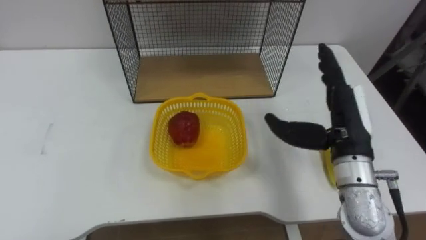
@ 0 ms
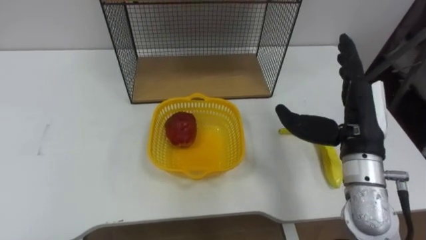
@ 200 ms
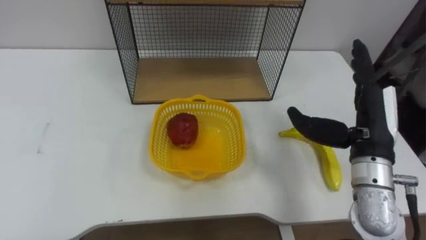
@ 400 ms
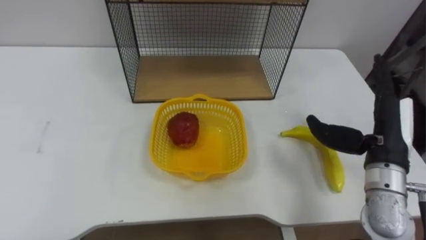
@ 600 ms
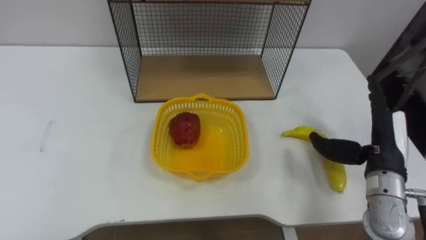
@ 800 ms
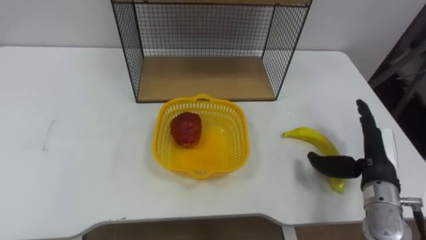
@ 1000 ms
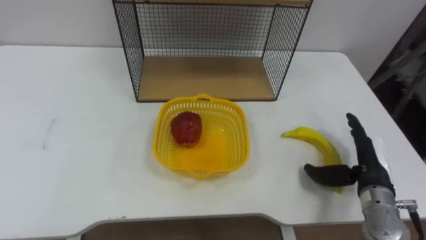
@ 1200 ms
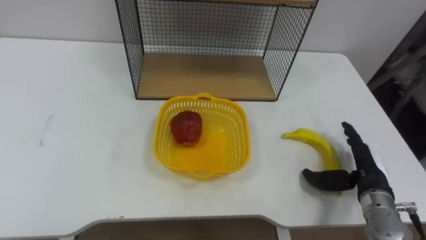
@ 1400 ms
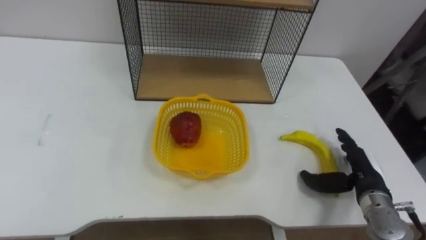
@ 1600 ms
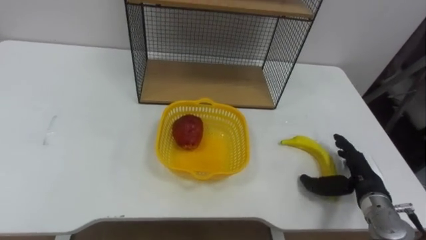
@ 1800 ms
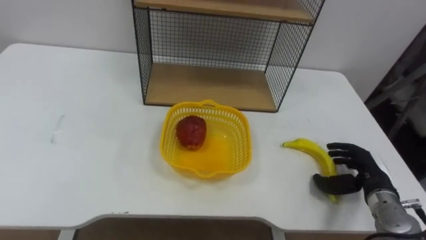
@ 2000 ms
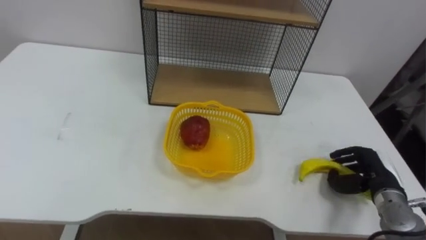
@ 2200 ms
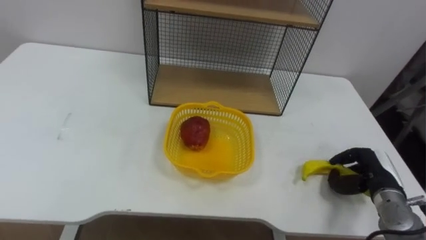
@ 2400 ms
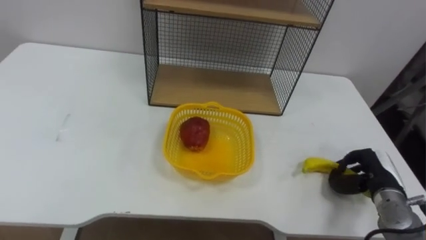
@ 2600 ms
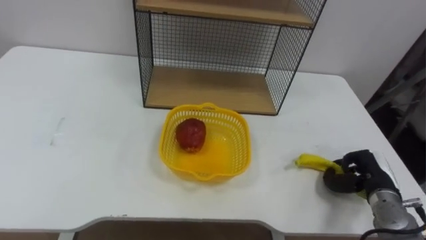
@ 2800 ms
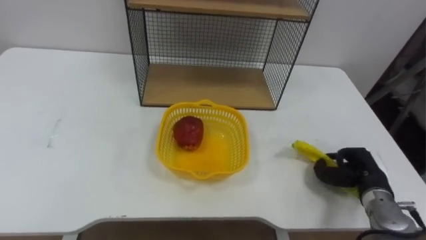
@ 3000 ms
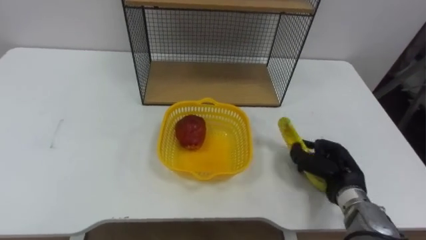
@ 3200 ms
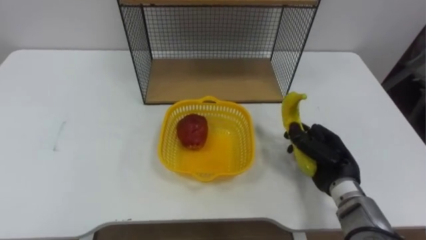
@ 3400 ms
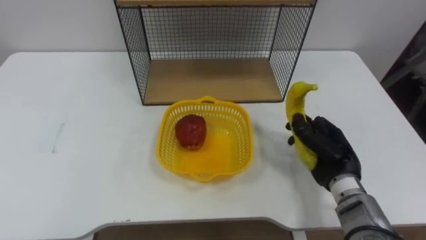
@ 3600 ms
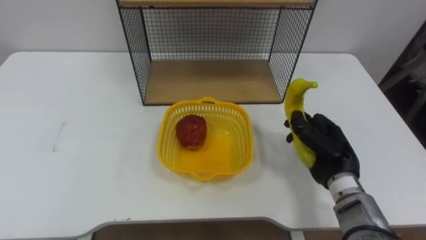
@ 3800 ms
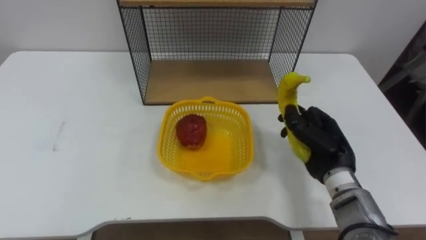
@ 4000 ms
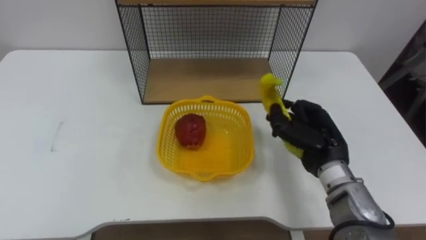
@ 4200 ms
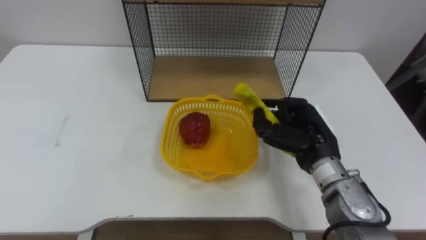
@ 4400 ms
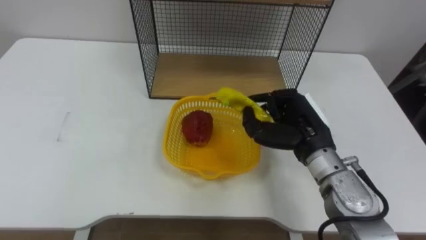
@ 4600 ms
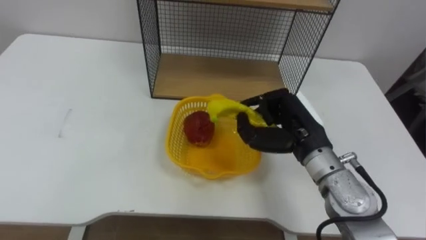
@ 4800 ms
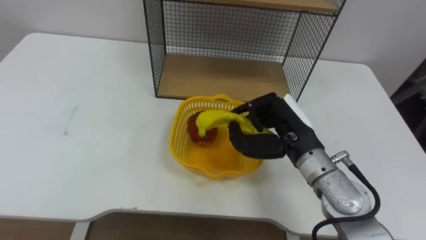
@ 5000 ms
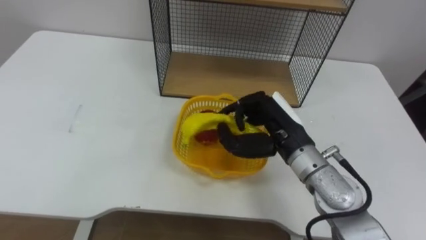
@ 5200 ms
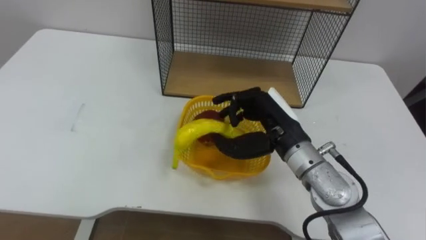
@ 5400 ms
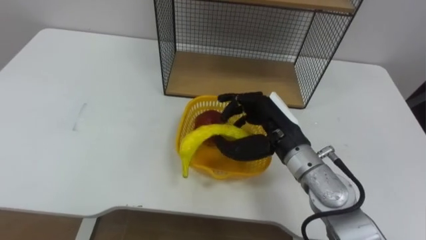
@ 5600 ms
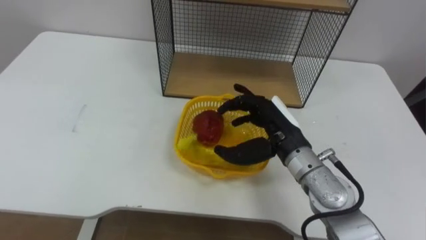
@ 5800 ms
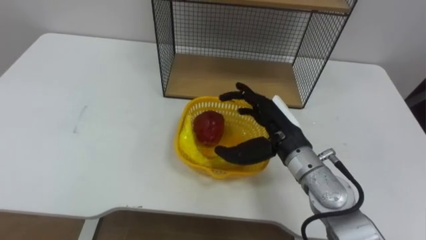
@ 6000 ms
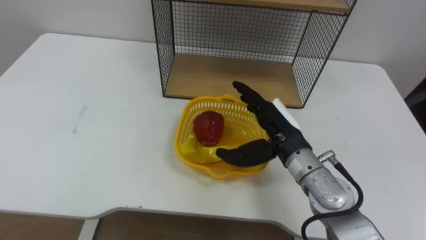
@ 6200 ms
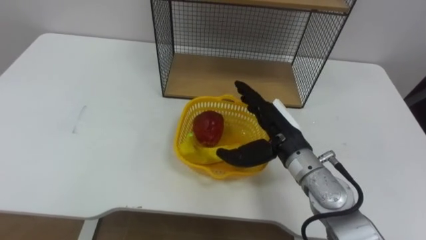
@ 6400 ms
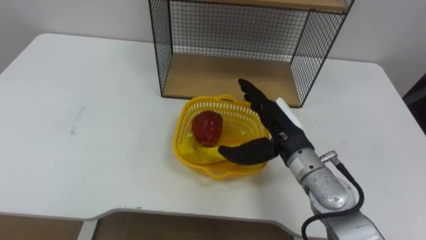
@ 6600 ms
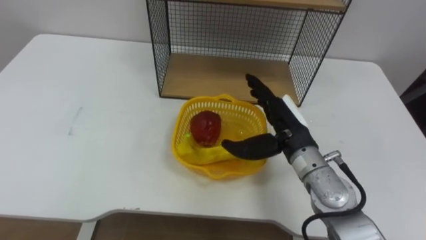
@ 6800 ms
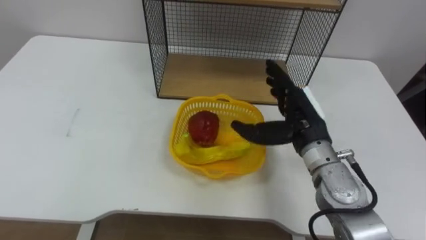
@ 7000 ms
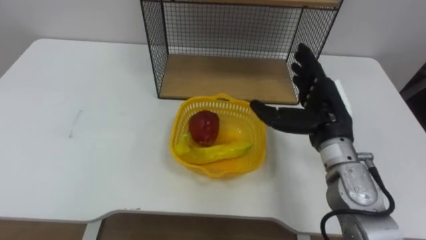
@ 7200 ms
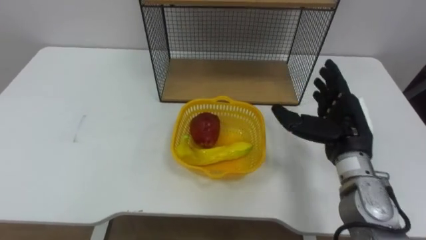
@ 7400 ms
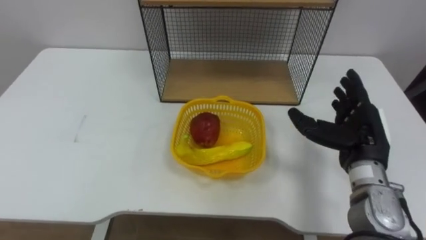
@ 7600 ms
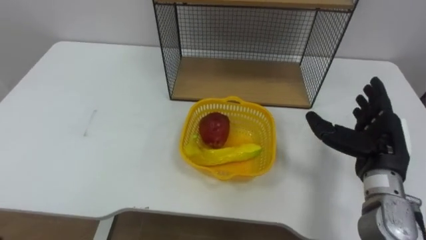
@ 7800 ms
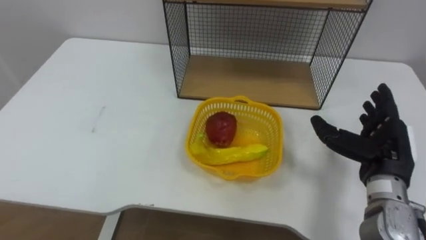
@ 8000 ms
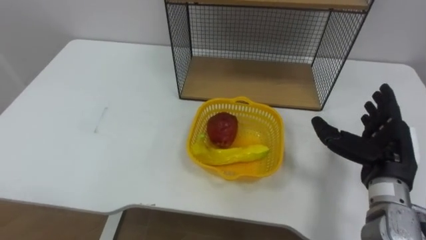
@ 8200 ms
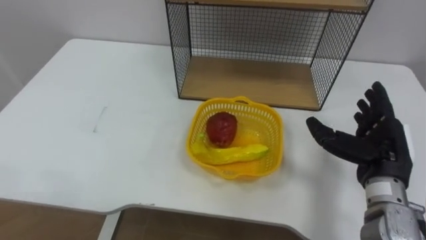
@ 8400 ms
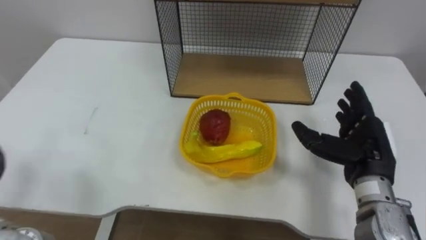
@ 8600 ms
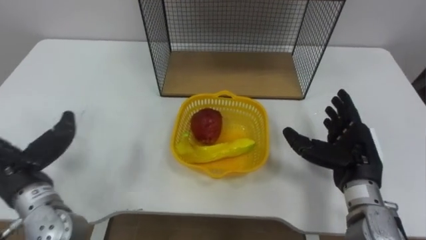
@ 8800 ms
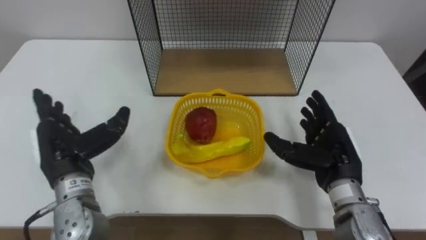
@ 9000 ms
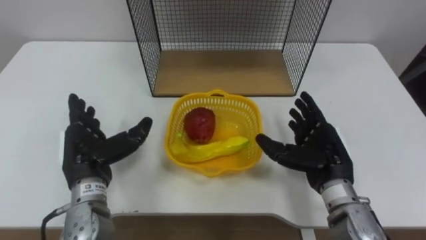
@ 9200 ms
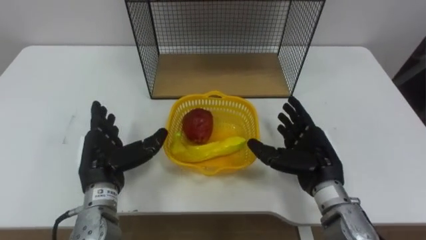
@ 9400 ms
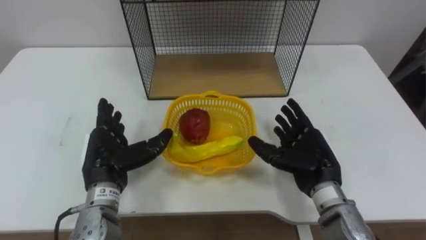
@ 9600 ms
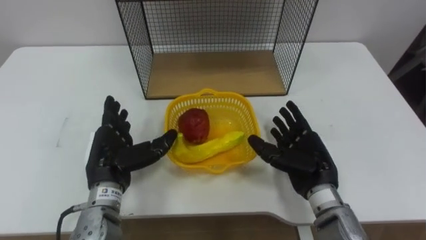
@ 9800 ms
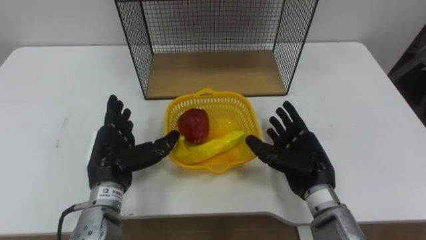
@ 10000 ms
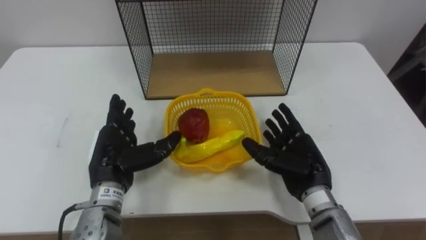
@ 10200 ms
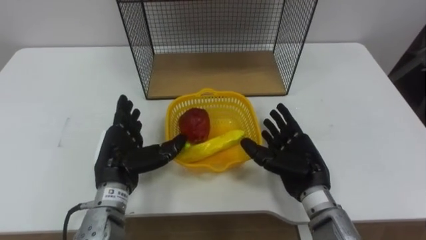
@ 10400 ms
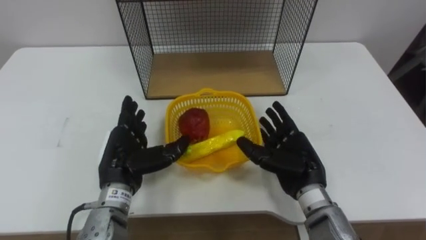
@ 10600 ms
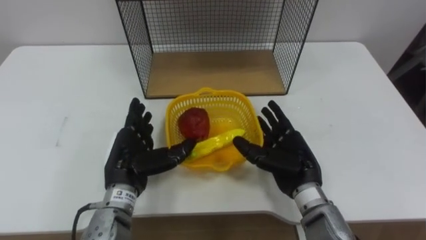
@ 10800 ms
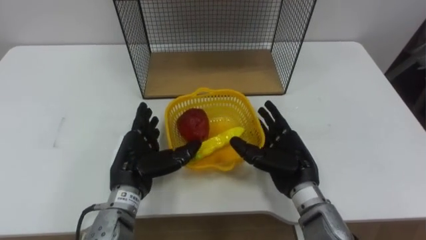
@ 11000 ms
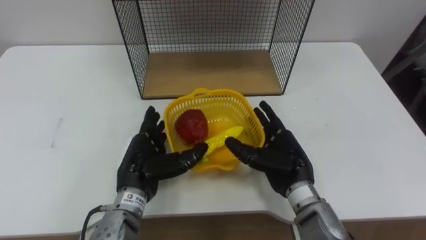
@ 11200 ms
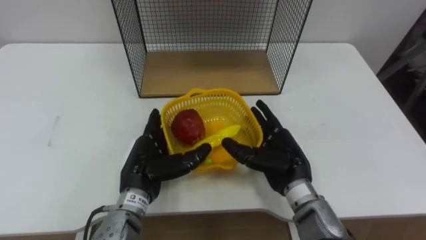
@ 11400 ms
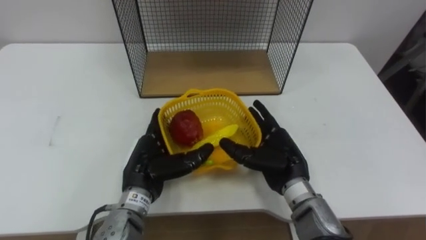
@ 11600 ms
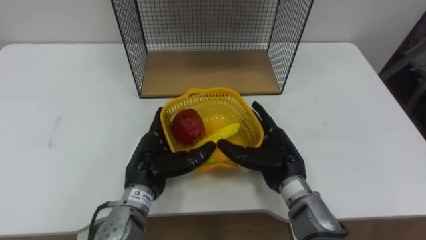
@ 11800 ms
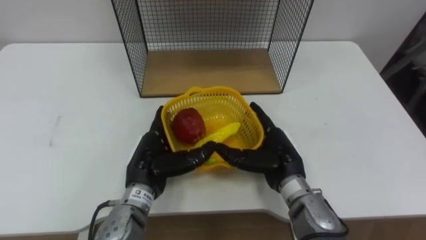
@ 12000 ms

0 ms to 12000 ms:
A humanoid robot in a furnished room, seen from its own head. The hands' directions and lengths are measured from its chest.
Task of the whole recording: Put the fruit on the table into the basket, then place the basket on the shelf.
0 ms to 1600 ms: The right hand heads downward and to the right, covering approximately 15 cm.
1600 ms to 3000 ms: The right hand closes.
3000 ms to 4400 ms: The right hand moves to the left and upward, approximately 15 cm.
4400 ms to 6000 ms: The right hand heads to the left, covering some 5 cm, and opens its fingers.
6000 ms to 7600 ms: The right hand is displaced to the right by roughly 15 cm.
9000 ms to 10400 ms: The right hand is displaced to the left by approximately 5 cm. Meanwhile the left hand is displaced to the right by some 10 cm.
10400 ms to 12000 ms: The left hand shifts approximately 5 cm to the right.

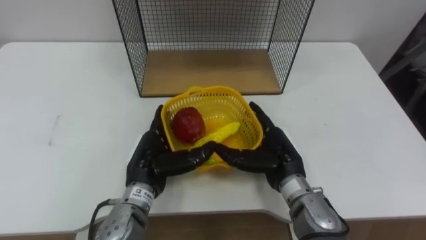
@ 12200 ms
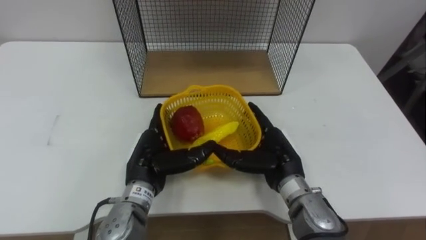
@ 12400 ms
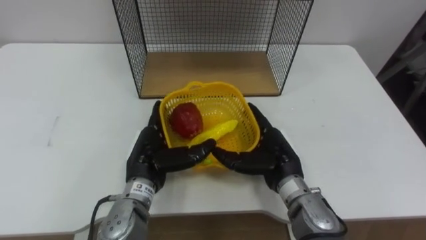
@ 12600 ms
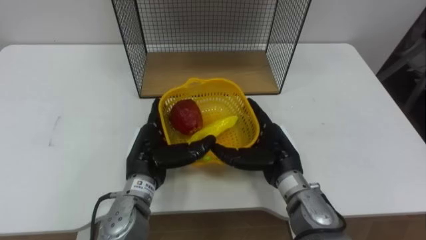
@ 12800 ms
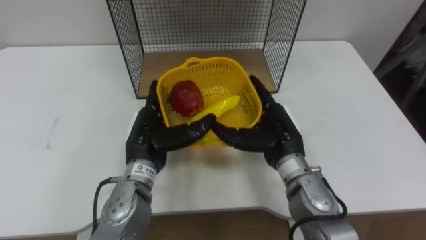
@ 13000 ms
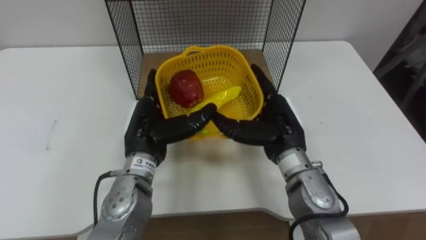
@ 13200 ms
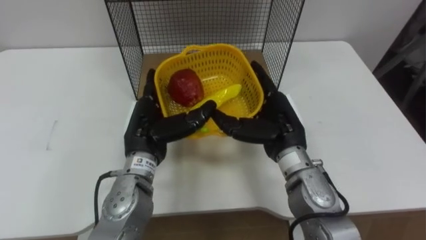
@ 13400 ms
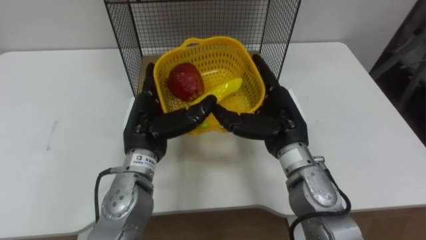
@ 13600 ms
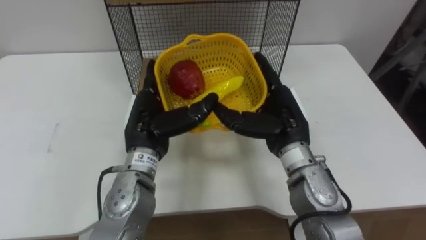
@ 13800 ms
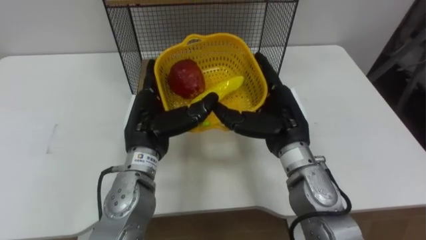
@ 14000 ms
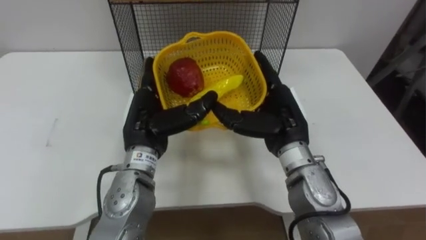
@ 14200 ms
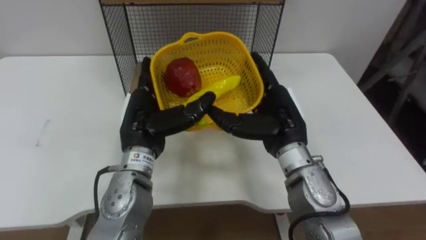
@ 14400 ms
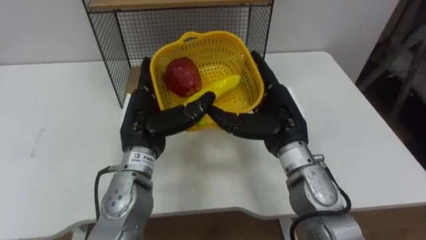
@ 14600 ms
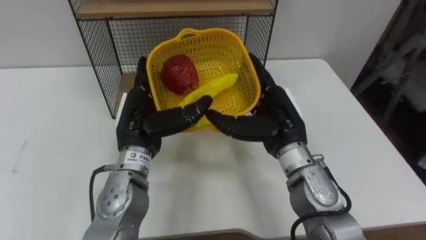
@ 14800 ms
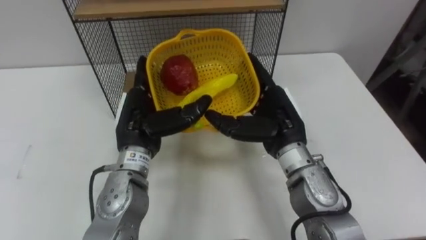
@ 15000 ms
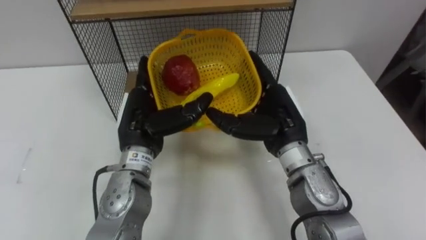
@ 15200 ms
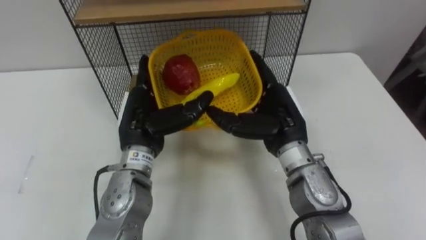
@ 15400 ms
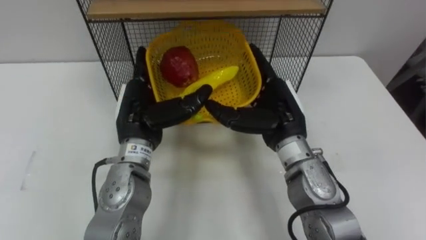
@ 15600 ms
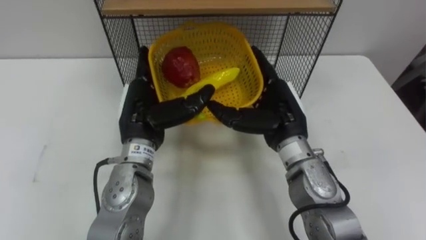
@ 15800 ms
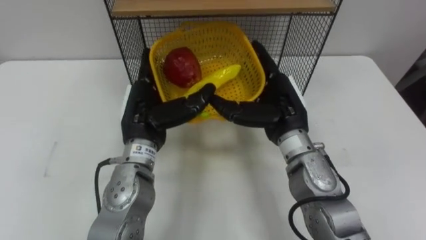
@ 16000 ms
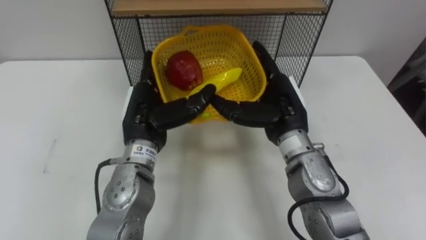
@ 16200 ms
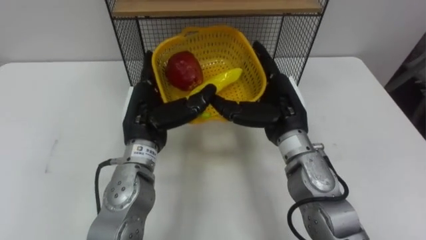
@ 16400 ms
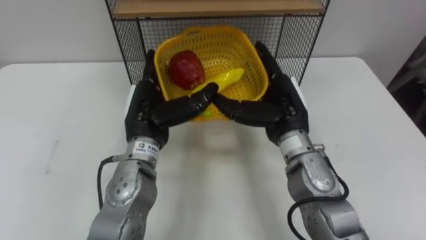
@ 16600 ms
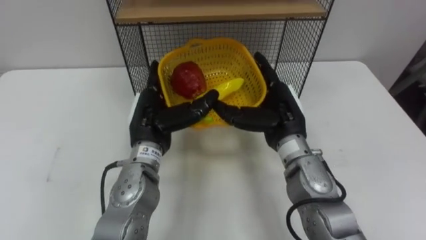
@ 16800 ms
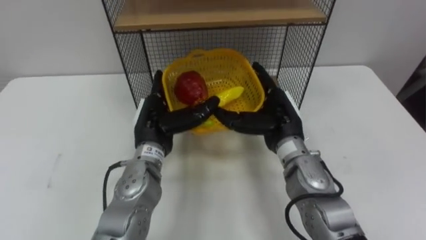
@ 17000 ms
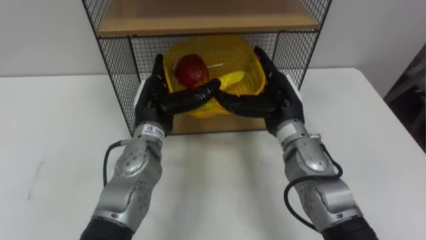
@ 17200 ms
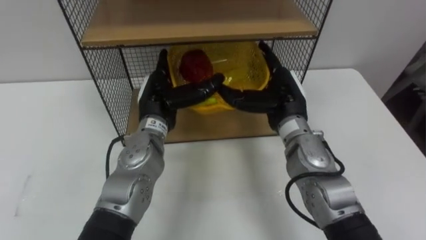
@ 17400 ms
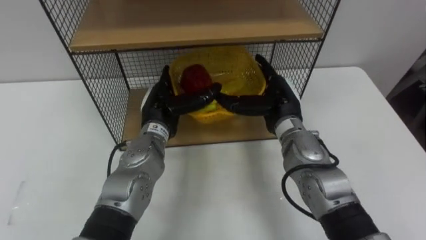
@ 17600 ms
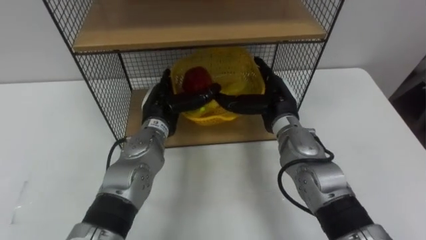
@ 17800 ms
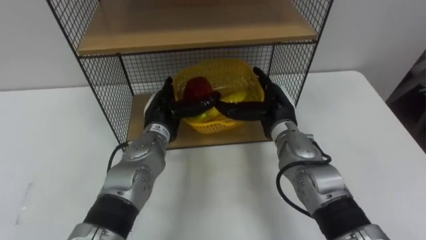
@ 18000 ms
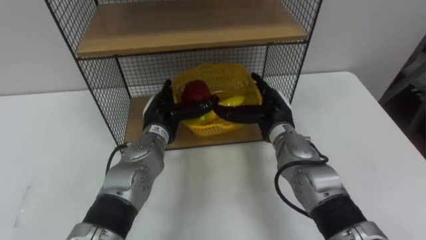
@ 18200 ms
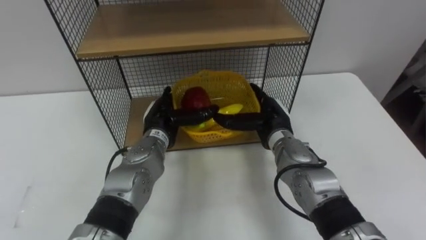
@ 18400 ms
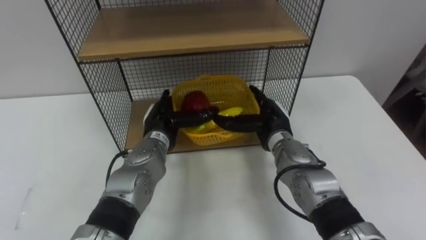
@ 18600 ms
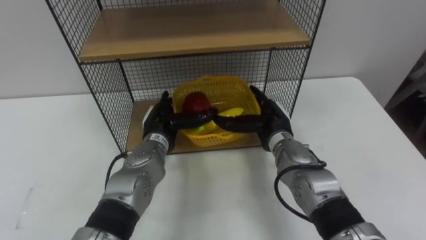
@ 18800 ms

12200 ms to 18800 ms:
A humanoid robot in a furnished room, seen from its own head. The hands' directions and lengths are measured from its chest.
Task of the whole recording: Put the fruit on the table into the basket, then place the basket on the shelf.
12200 ms to 13800 ms: The two hands go approximately 10 cm upward.
15400 ms to 17200 ms: The left hand shifts by some 5 cm.
17200 ms to 18800 ms: Both hands travel together downward, roughly 5 cm.
